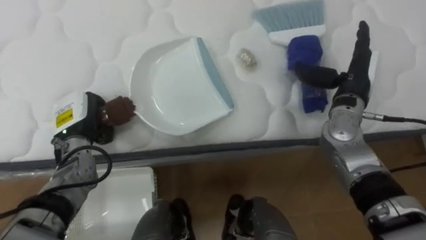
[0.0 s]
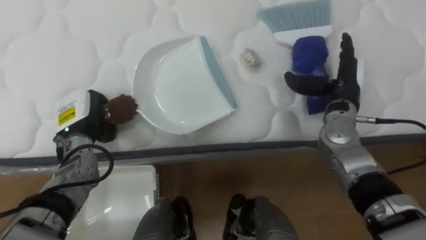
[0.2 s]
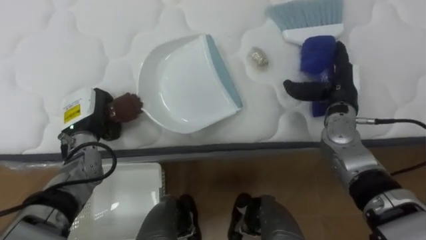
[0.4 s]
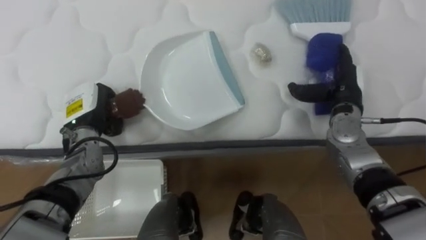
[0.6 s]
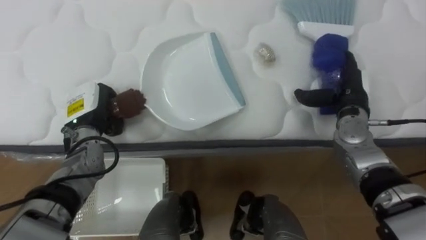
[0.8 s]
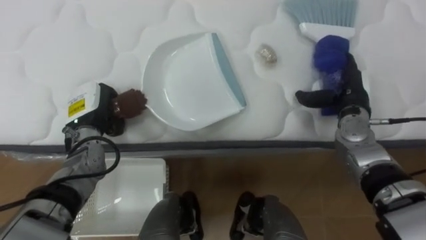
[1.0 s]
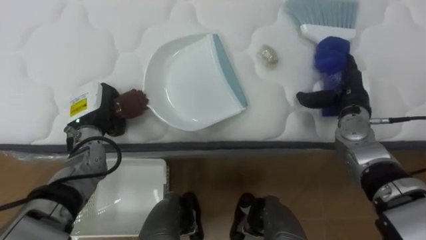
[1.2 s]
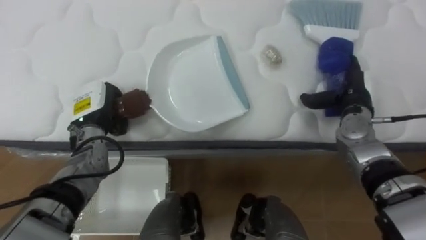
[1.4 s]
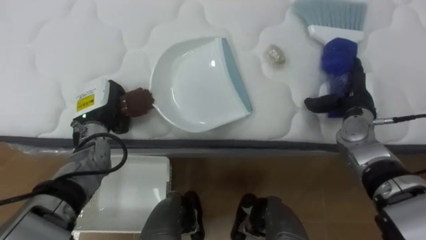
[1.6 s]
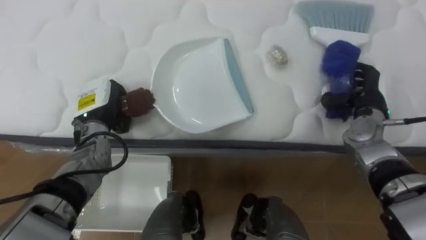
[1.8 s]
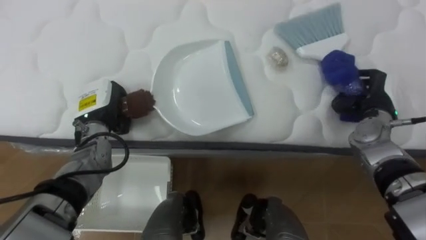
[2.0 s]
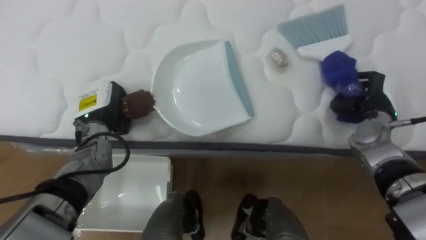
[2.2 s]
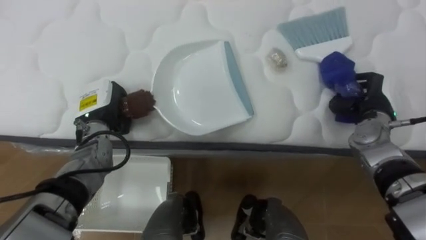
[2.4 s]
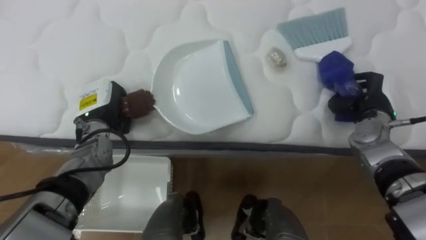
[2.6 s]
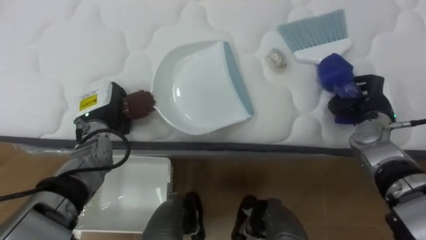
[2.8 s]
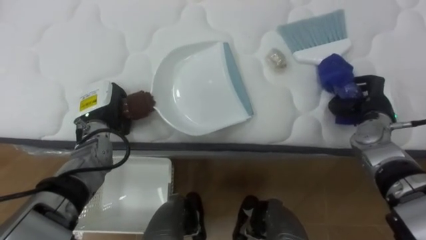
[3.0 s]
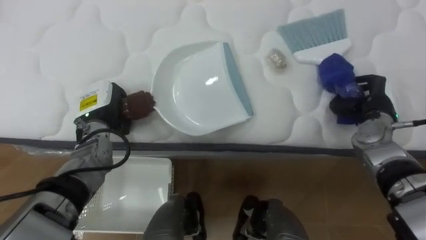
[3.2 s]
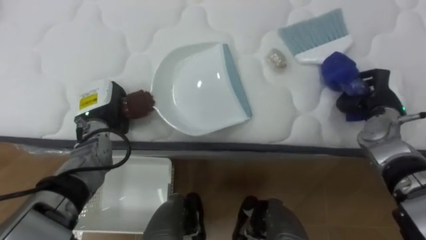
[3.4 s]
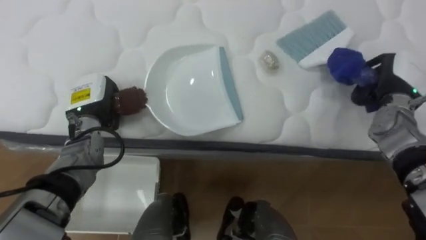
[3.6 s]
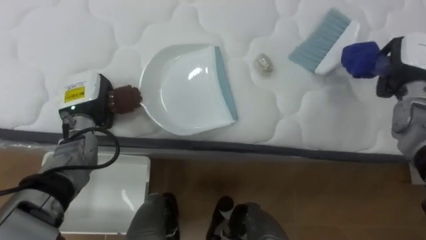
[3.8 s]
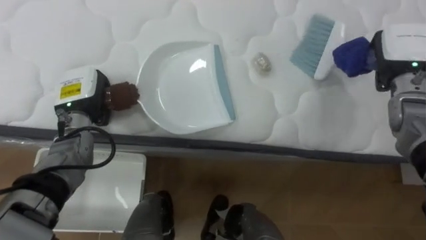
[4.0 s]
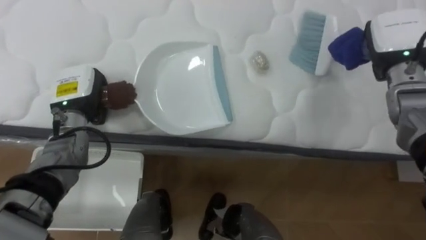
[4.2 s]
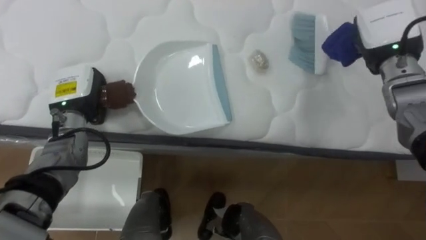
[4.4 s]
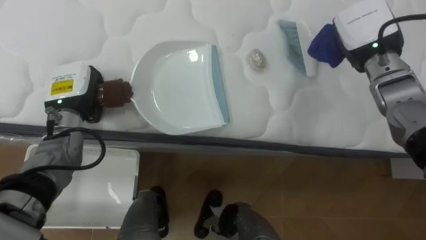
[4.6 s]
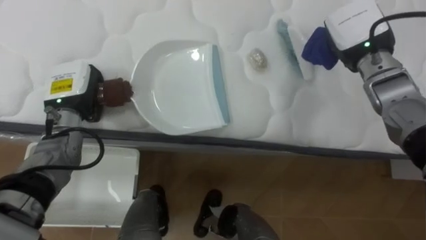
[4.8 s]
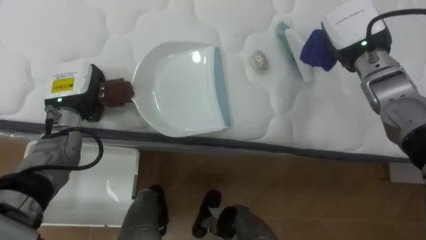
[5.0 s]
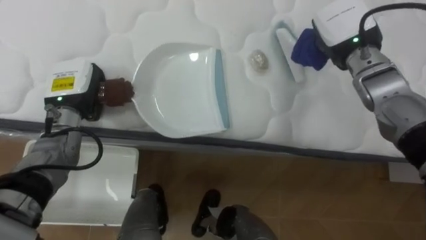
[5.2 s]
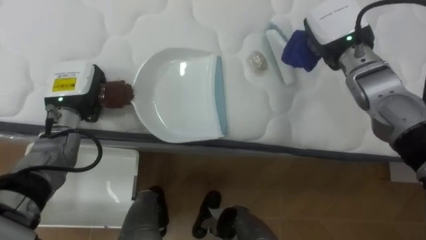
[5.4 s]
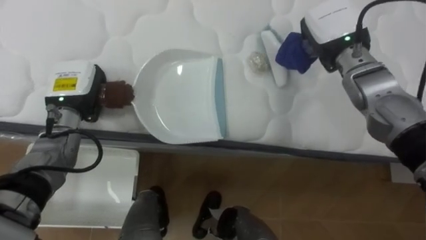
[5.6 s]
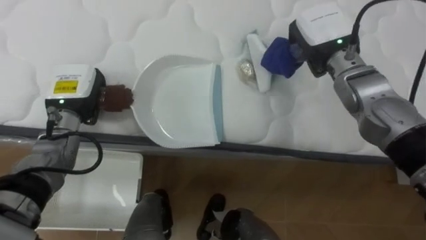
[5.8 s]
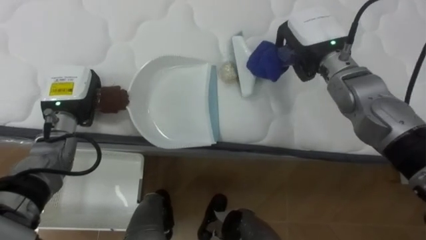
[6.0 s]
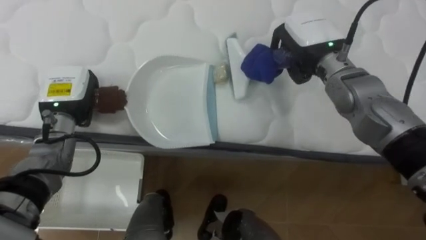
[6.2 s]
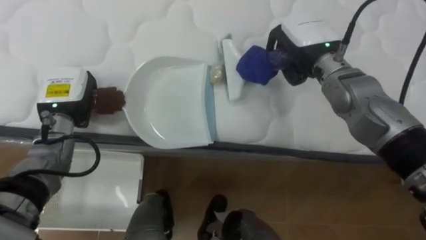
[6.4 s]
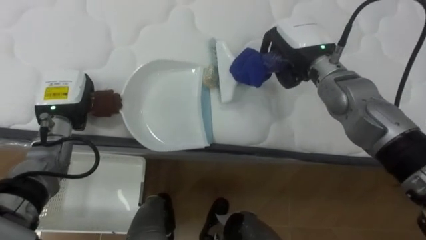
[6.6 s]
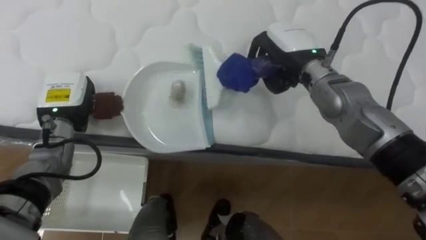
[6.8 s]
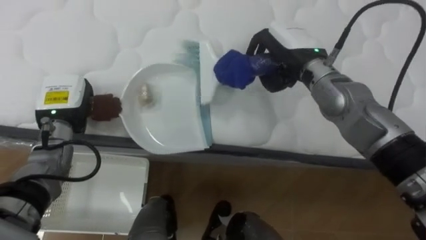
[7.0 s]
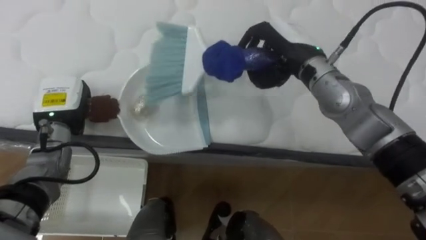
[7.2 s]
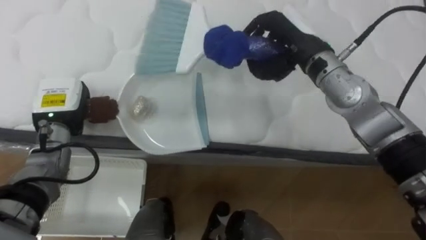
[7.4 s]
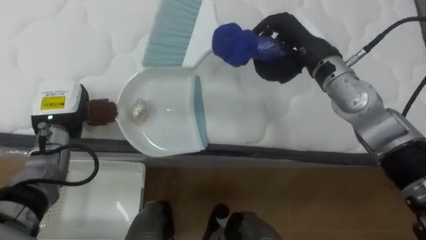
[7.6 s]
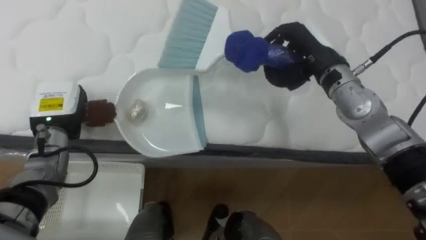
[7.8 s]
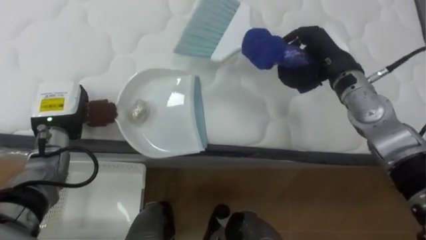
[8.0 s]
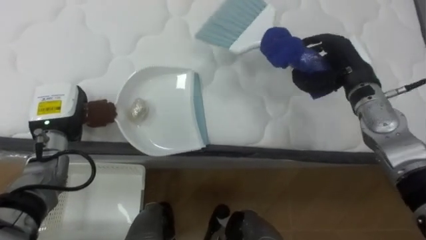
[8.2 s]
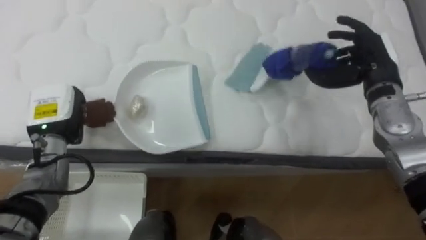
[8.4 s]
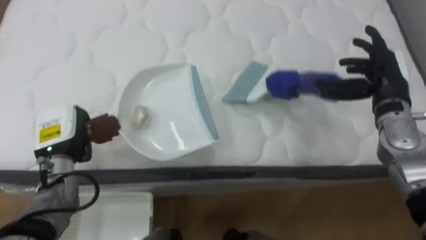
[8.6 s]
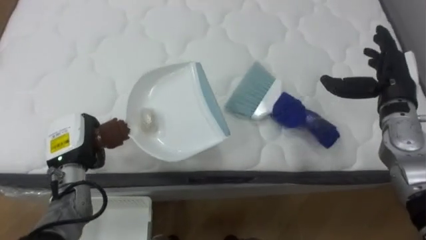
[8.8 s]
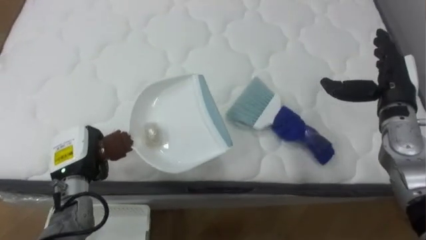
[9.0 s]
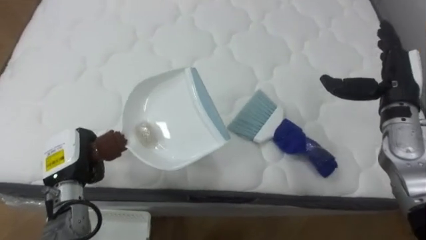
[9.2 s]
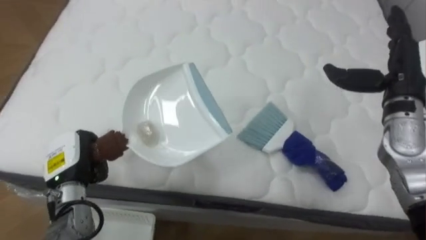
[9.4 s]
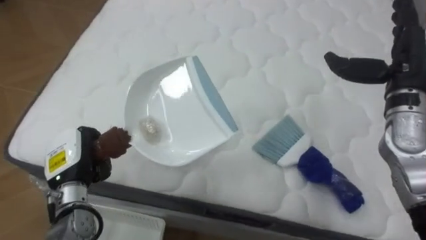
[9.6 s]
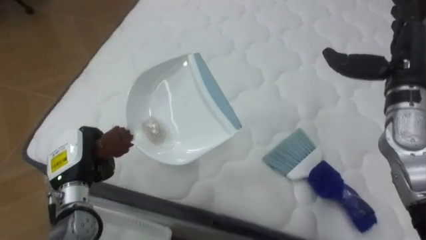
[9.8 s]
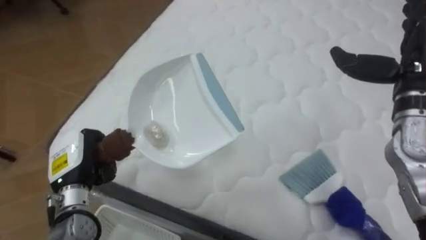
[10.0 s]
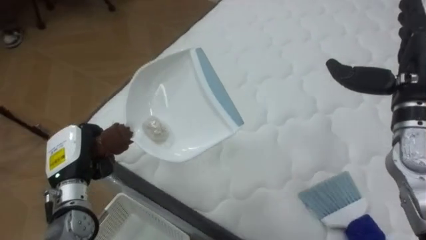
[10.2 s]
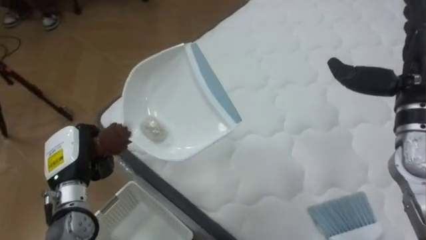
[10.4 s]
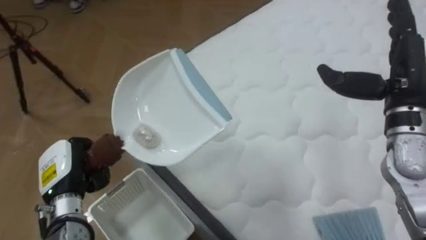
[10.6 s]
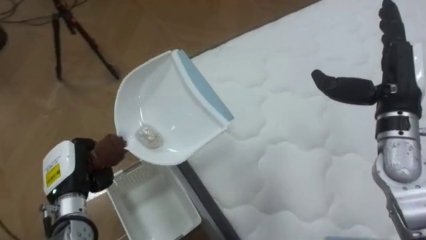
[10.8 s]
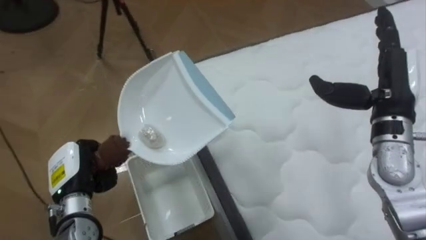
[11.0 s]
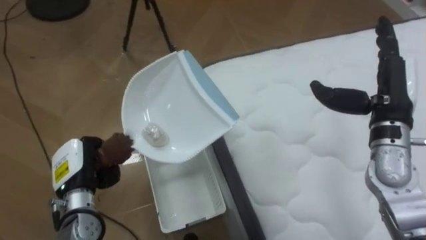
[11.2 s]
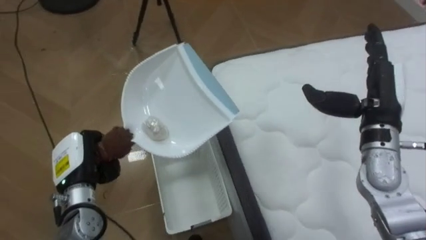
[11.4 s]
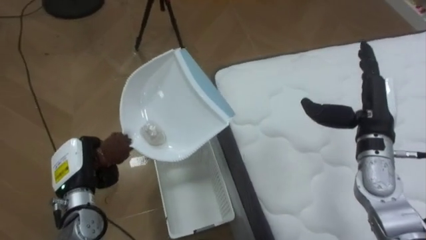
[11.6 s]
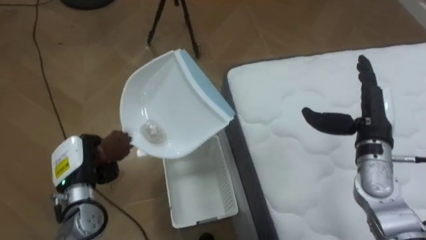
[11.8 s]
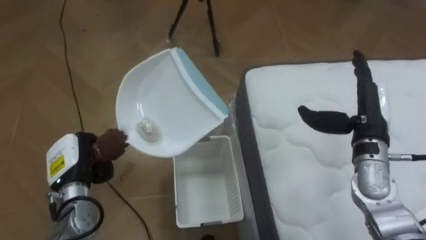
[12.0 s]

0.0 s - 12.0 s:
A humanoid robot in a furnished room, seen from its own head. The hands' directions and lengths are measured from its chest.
Task of the whole recording: Pick up the brush on your right and the dustpan on your left. Use the brush to sweep the crumpled paper on the bed into the dustpan, then turn left and empty it into the basket.
0.0 s - 1.6 s: The right hand heads downward, covering about 5 cm.
1.6 s - 3.0 s: The right hand closes up.
3.0 s - 4.4 s: The left hand moves roughly 5 cm. The right hand heads upward, covering roughly 15 cm.
4.4 s - 6.0 s: The right hand goes approximately 10 cm to the left.
7.6 s - 9.0 s: The left hand moves backward and downward, roughly 10 cm. The right hand goes roughly 20 cm to the right and downward, and opens its fingers.
9.0 s - 10.4 s: The robot's body swings some 40 degrees to its left. The right hand heads upward, covering approximately 10 cm.
10.4 s - 12.0 s: The robot's body swings roughly 45 degrees to its left. The right hand is displaced downward by some 10 cm.

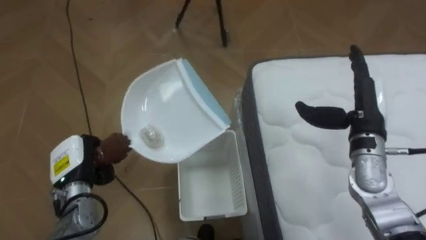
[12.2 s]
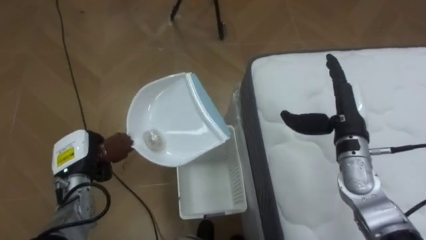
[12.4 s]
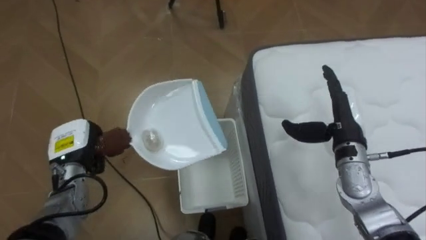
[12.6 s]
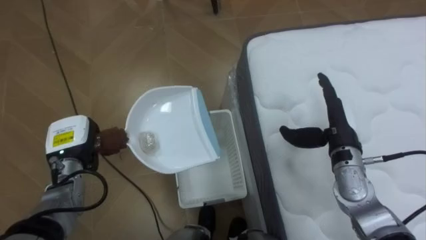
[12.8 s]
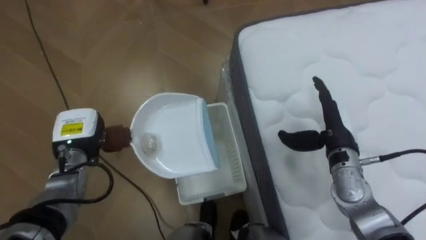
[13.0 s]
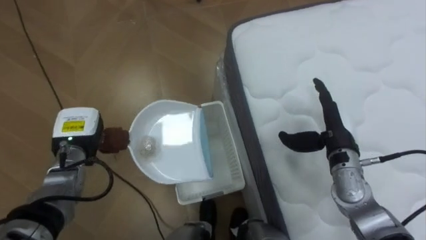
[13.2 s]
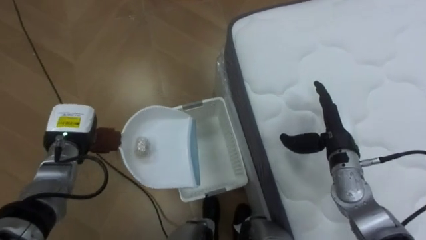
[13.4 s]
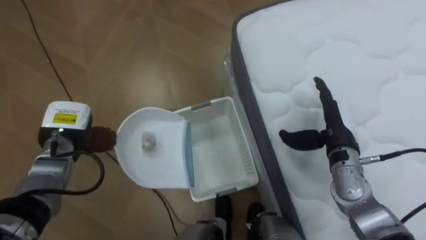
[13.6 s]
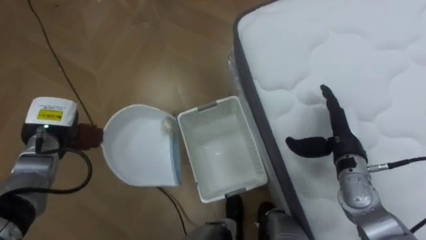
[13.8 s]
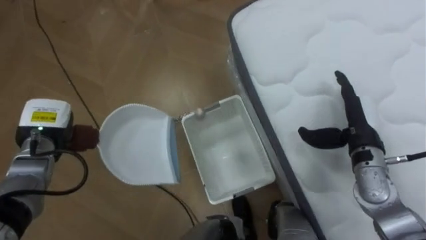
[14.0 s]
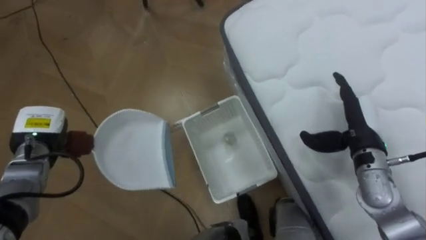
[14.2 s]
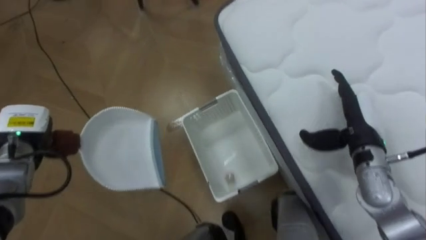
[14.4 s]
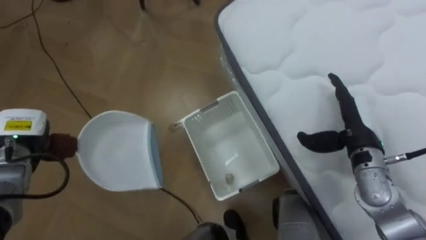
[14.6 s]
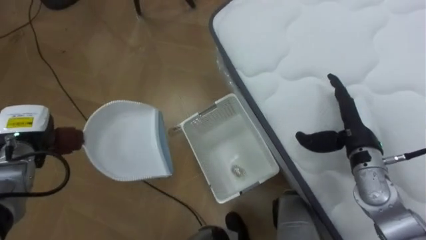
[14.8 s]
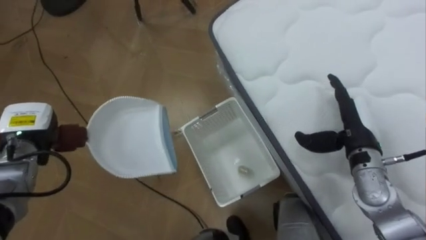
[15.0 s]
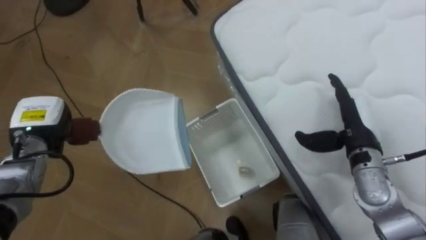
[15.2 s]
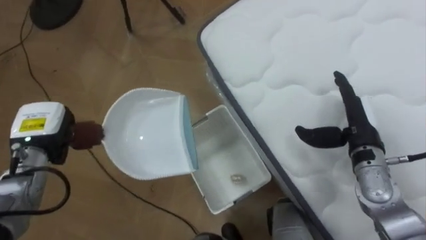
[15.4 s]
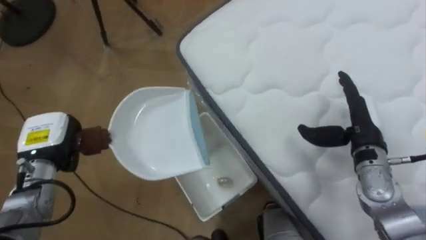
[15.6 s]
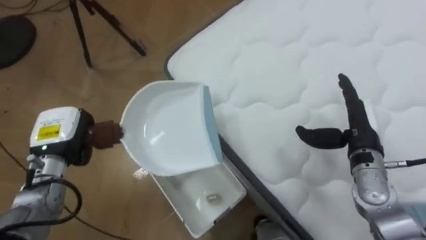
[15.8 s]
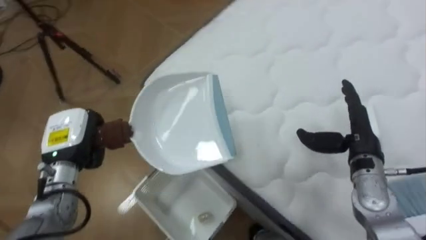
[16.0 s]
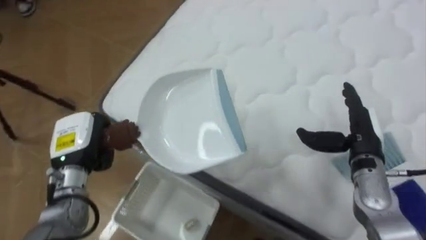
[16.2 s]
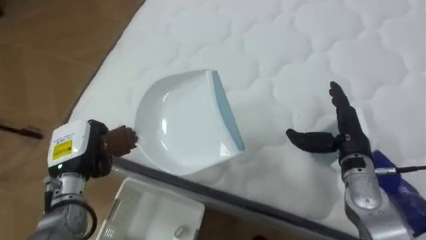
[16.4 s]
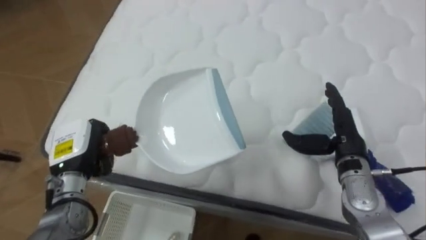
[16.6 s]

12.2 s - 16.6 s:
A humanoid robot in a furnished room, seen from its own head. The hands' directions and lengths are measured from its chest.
Task of the whole recording: Pick up the brush on your right and the dustpan on your left. Use the brush to sweep the crumpled paper on the bed into the dustpan, then turn left and empty it into the basket.
12.2 s - 13.6 s: The left hand shifts some 5 cm forward, while the right hand goes some 5 cm downward.
15.2 s - 16.6 s: The robot rotates some 60 degrees to its right. The left hand moves to the right, about 5 cm.
